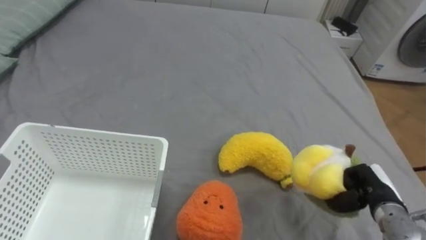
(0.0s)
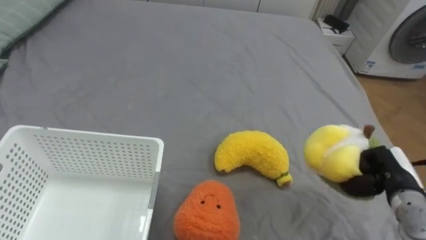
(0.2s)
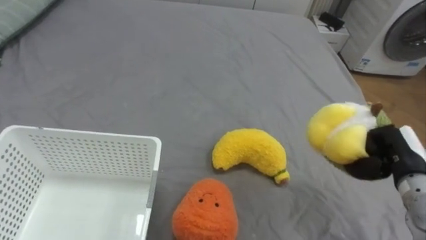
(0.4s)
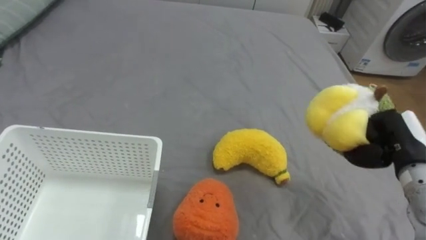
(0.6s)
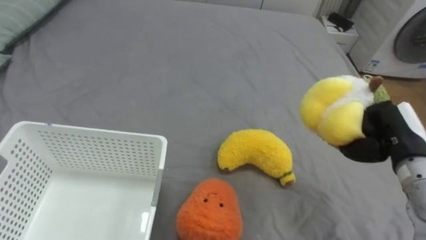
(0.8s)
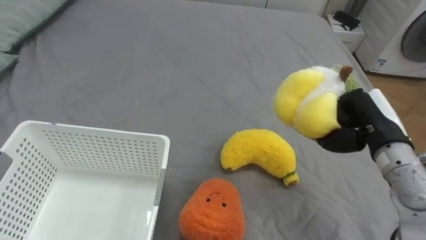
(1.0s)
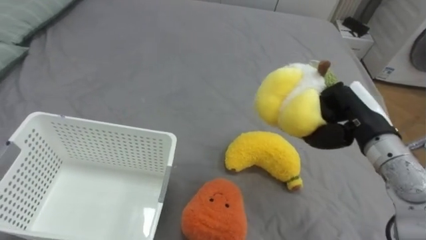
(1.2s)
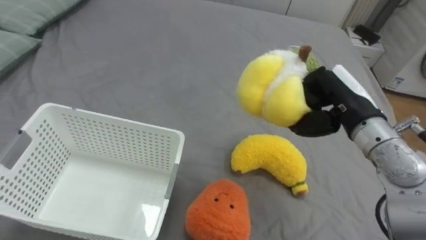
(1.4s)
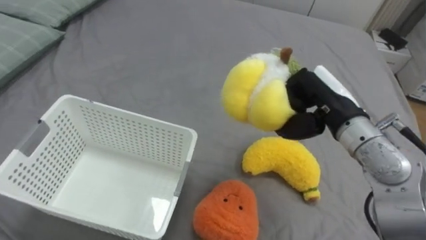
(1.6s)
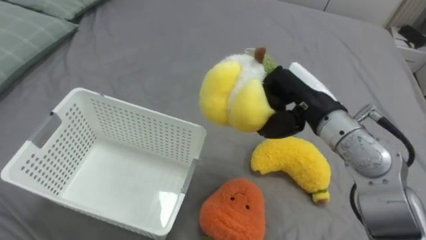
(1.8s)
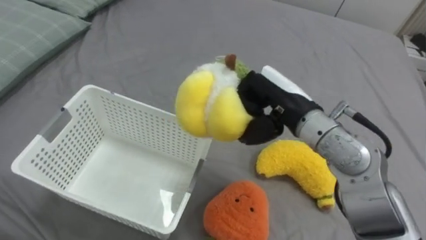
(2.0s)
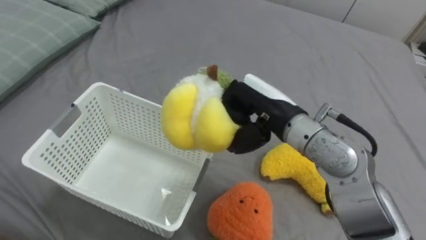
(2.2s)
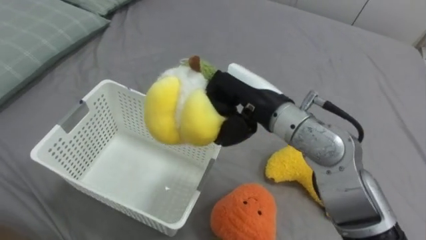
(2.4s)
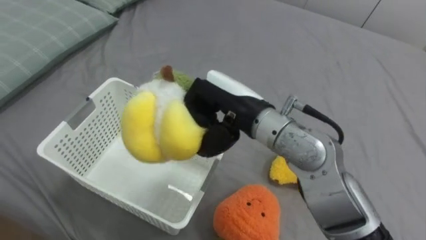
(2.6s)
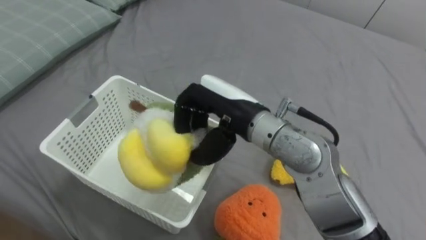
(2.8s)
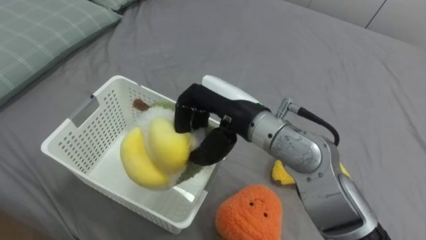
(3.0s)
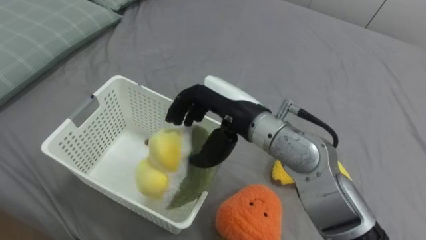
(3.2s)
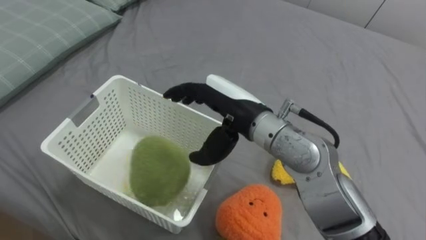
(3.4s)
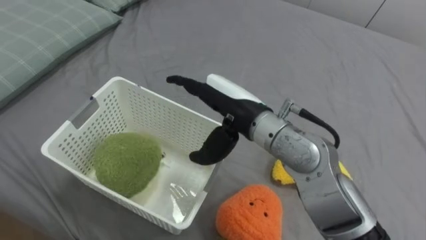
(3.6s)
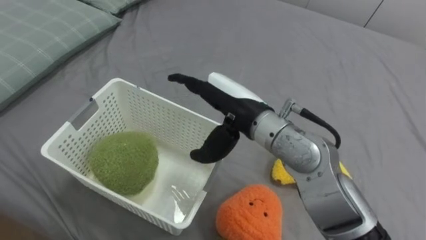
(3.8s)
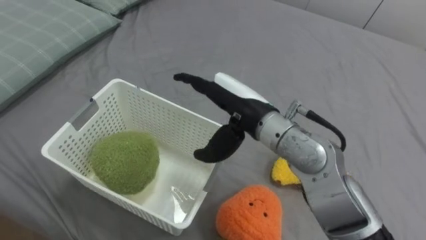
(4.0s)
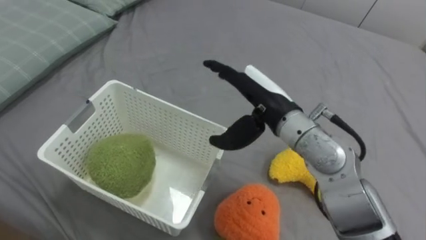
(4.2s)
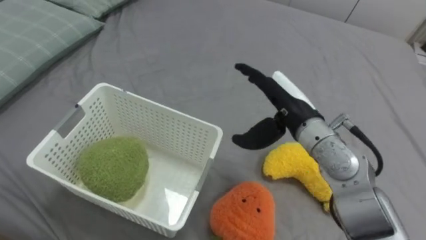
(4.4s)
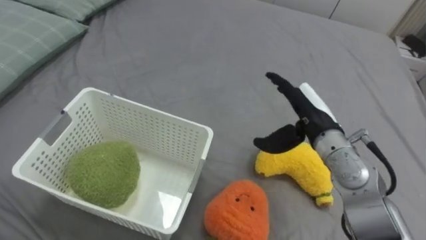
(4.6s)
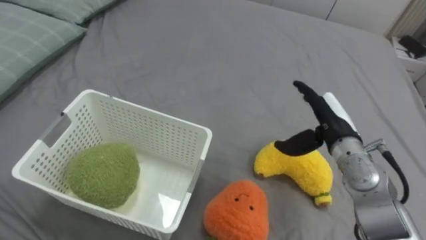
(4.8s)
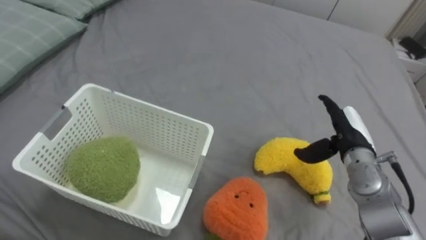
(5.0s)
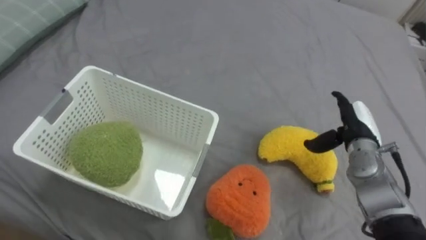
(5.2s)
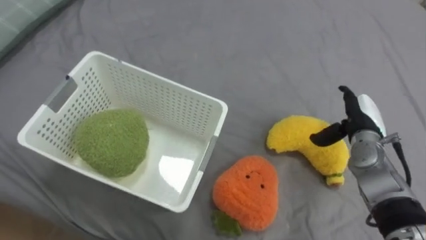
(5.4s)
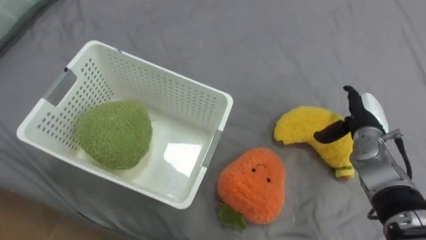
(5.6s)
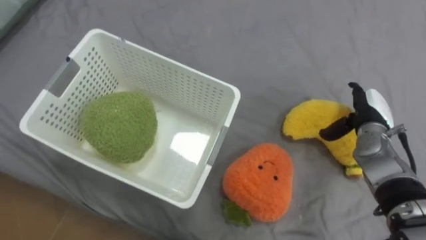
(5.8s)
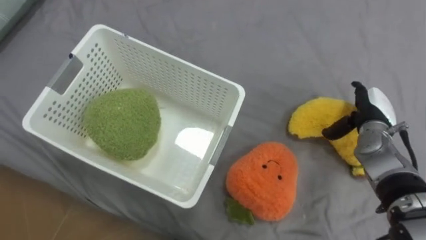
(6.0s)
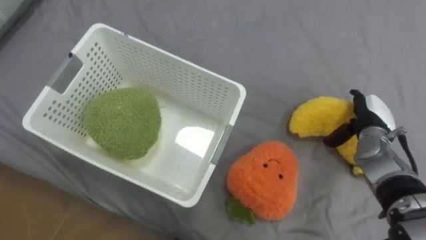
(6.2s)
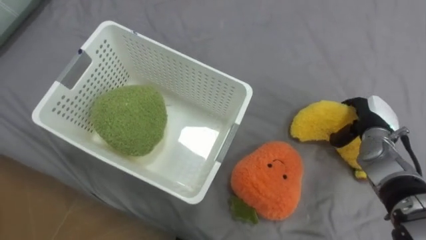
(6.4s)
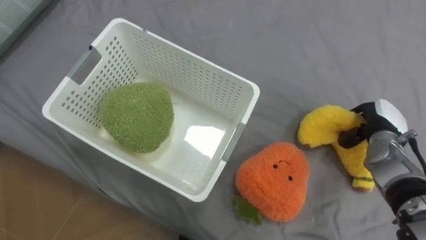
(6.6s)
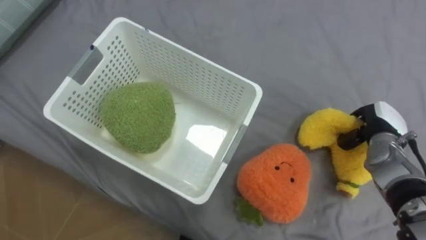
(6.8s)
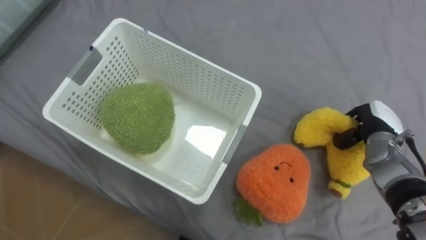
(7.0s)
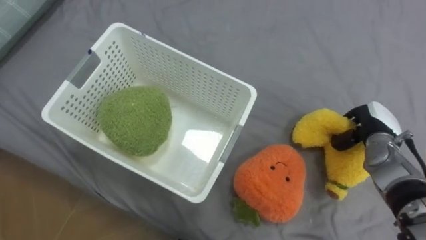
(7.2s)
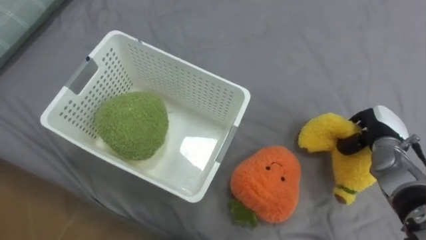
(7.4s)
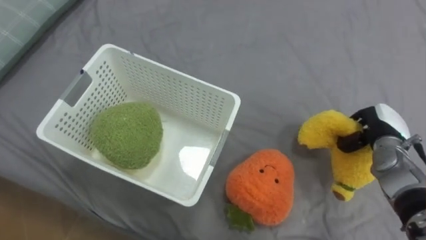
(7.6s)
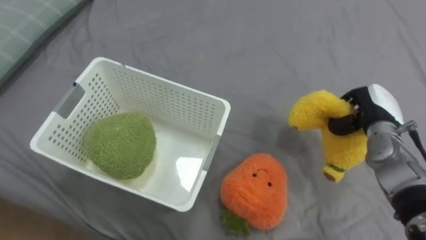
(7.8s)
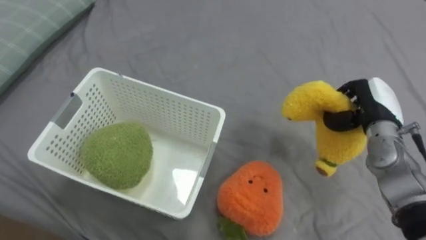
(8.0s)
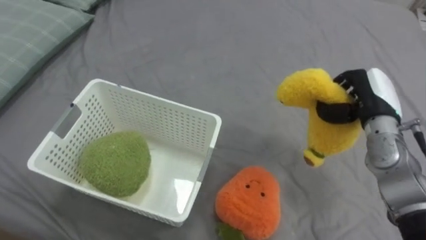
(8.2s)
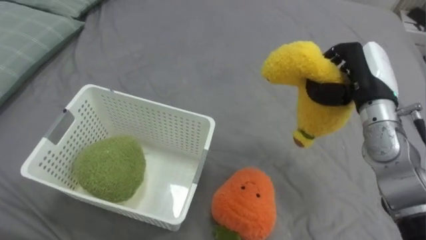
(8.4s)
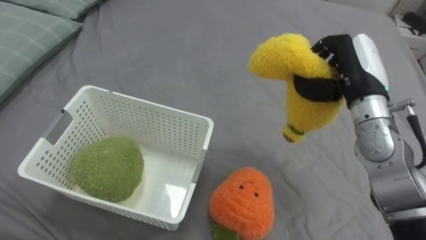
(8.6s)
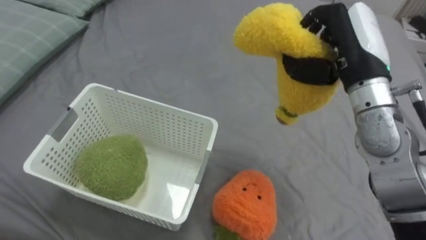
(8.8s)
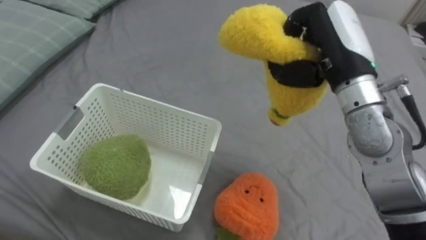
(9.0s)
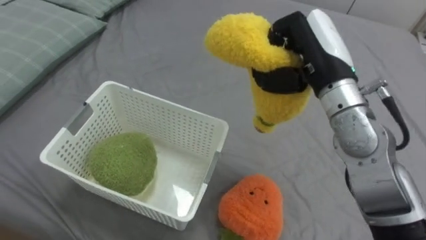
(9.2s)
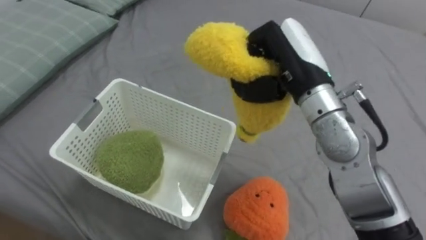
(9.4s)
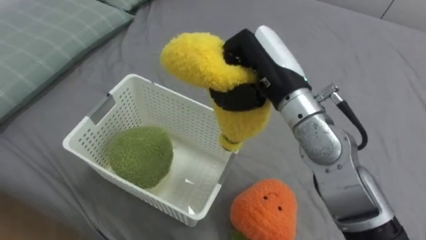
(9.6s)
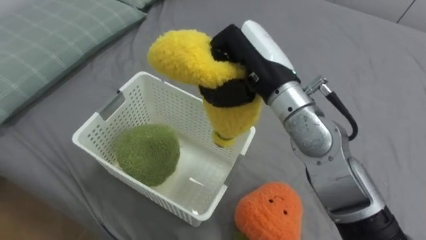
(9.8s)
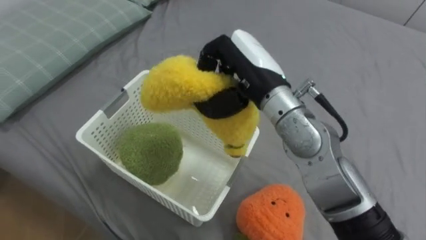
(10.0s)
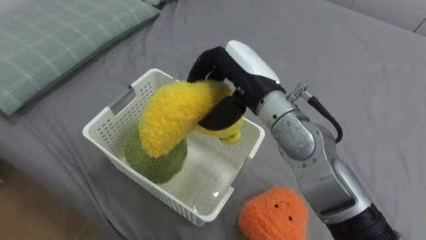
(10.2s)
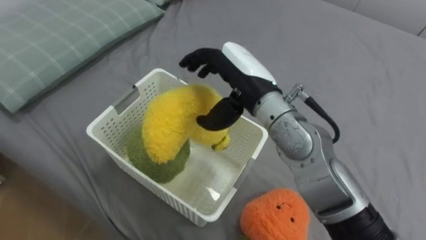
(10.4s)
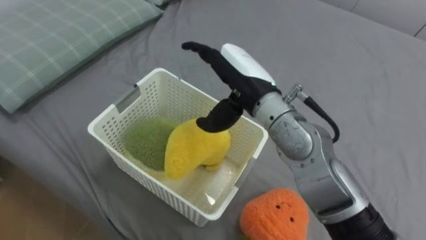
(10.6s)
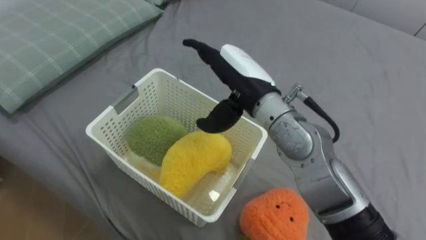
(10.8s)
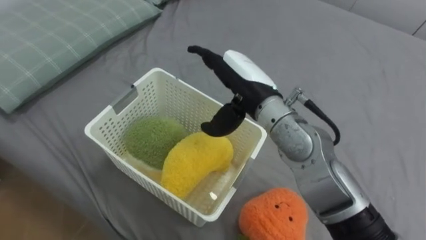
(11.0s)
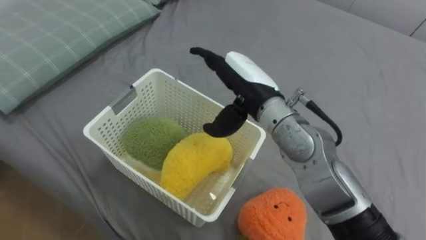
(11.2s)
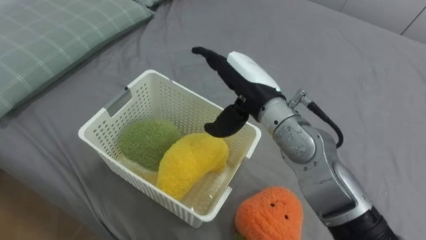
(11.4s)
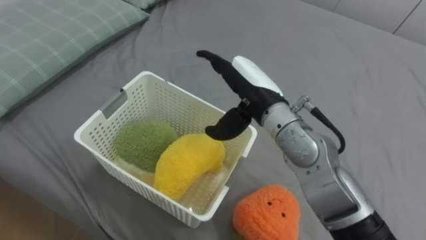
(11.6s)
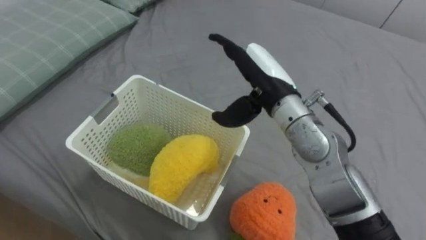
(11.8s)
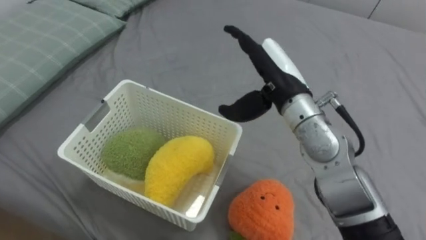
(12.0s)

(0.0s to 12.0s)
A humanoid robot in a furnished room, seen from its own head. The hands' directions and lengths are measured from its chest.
Task of the whole recording: Put the toys on the bed into the basket on the left.
0.0s - 1.6s: The right hand moves upward, to the left and forward, some 25 cm.
1.6s - 3.0s: The right hand is displaced to the left by approximately 15 cm.
3.0s - 4.4s: The right hand is displaced to the right by roughly 10 cm, and opens up.
4.4s - 6.0s: The right hand travels to the right and downward by some 20 cm.
6.0s - 7.6s: The right hand closes up.
7.6s - 9.0s: The right hand goes some 25 cm upward and to the left.
9.0s - 10.4s: The right hand goes about 15 cm to the left, and opens up.
10.4s - 12.0s: The right hand heads to the right, covering about 5 cm.

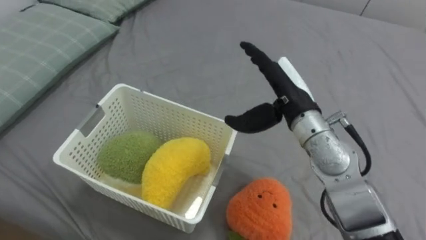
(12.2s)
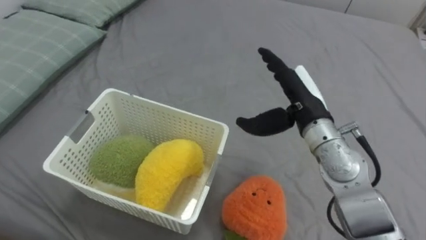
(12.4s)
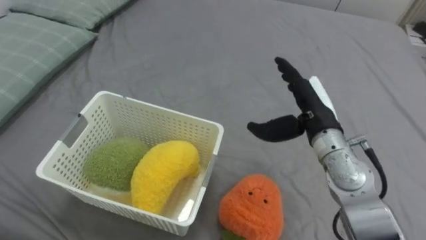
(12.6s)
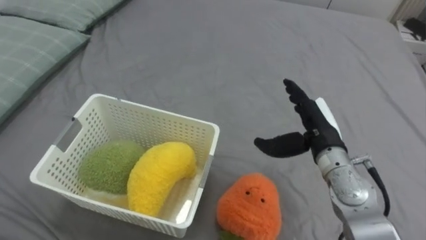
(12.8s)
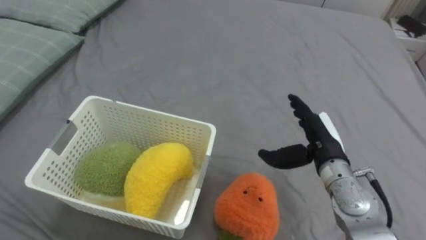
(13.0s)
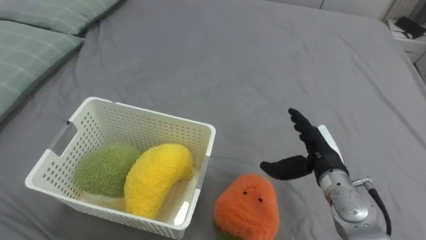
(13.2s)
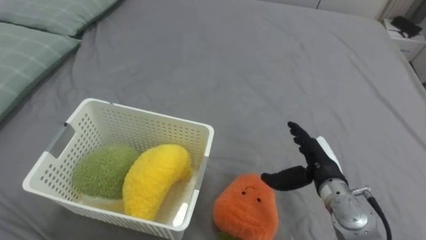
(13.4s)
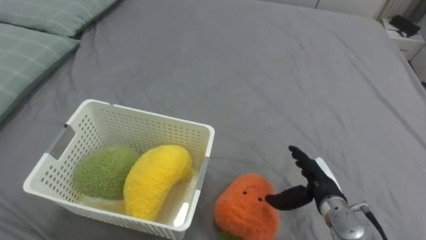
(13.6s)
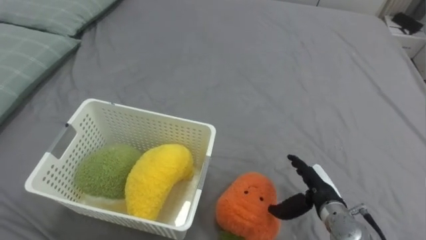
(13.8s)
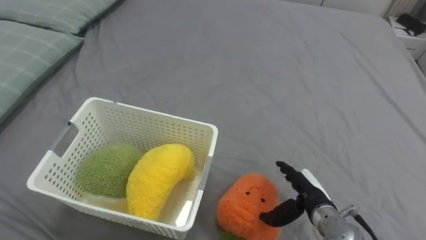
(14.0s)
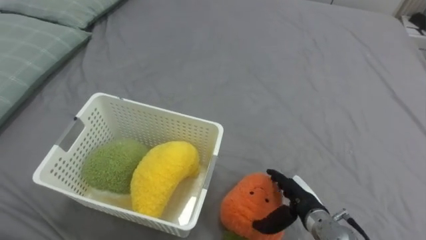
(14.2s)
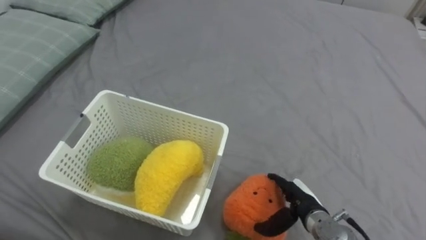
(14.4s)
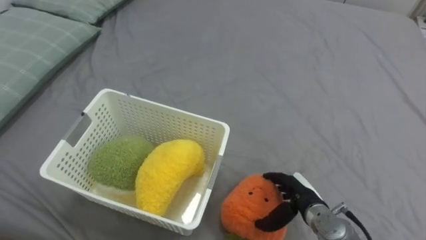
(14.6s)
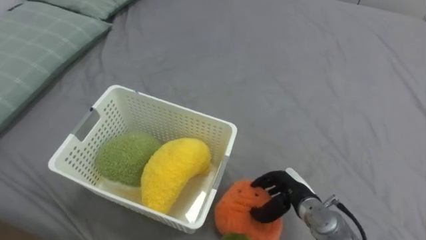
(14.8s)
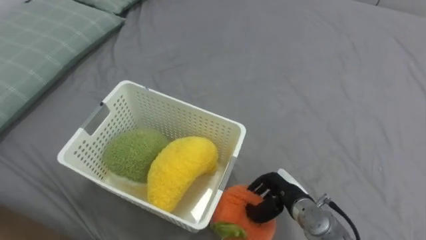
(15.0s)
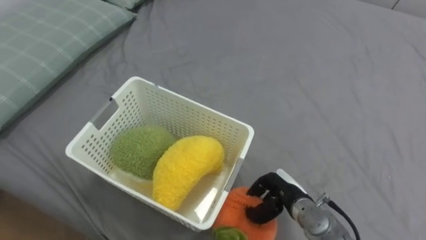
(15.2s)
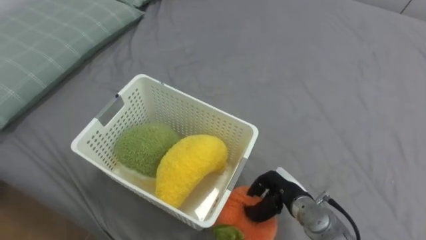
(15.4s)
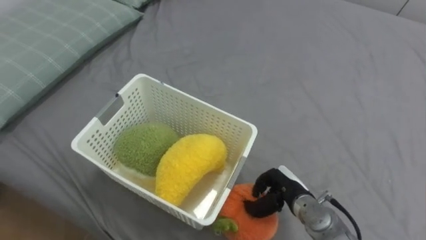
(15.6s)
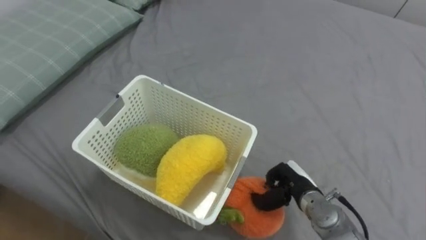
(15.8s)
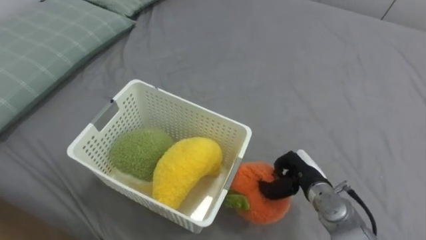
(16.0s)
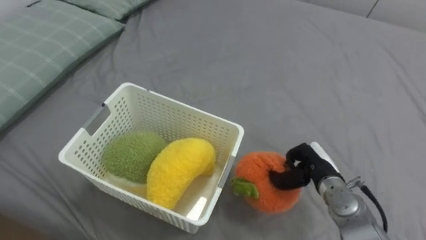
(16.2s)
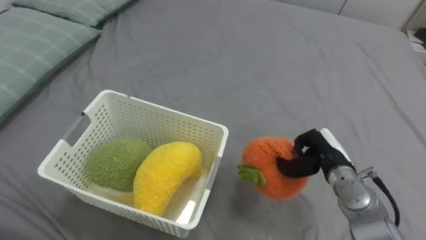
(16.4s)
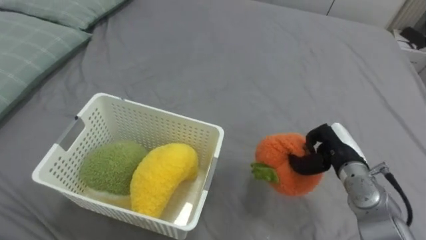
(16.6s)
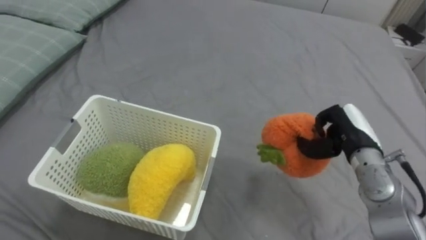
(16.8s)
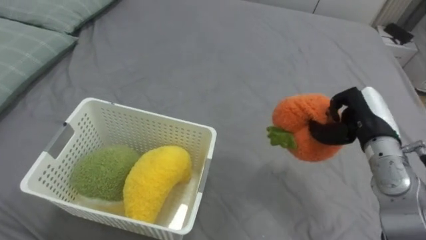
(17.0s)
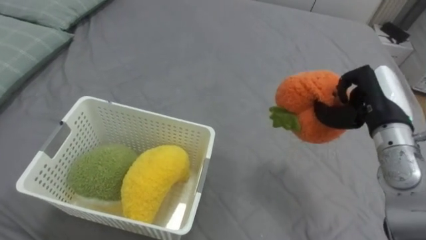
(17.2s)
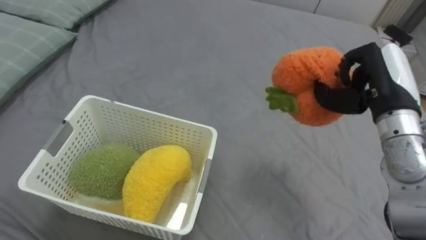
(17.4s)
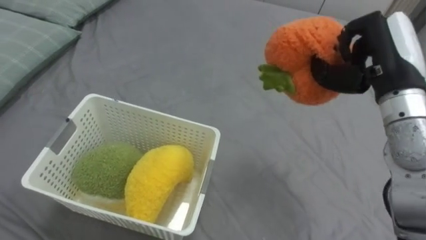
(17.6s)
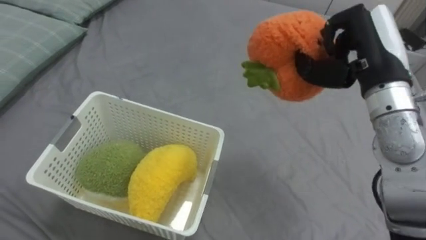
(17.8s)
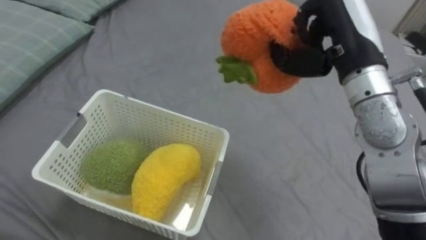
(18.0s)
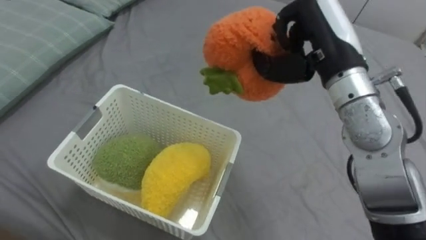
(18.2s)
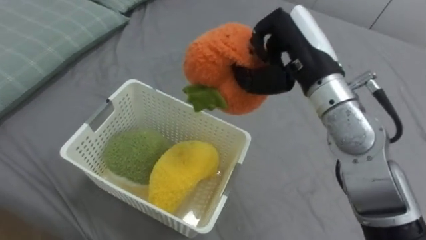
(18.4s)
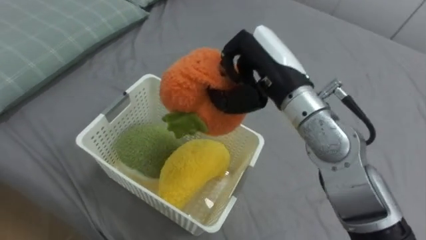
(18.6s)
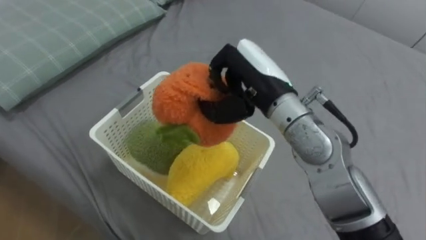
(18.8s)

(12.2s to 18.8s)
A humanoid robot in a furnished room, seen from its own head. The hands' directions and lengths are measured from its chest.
Task of the whole recording: Put the toys on the bed into the basket on the left.
12.2s - 13.8s: The right hand moves downward, to the right and backward, approximately 25 cm.
13.8s - 15.4s: The right hand shifts roughly 5 cm to the left, and closes.
15.4s - 17.2s: The right hand shifts some 25 cm upward and to the right.
17.2s - 18.8s: The right hand goes about 20 cm to the left.
